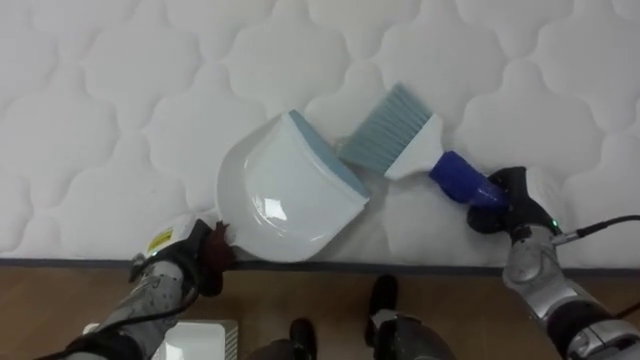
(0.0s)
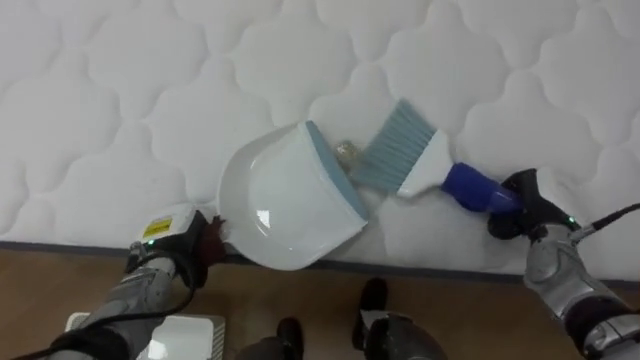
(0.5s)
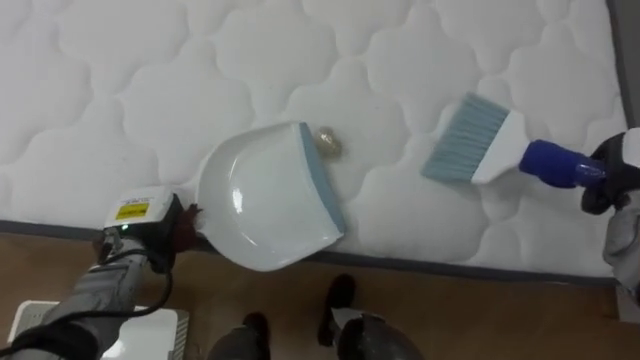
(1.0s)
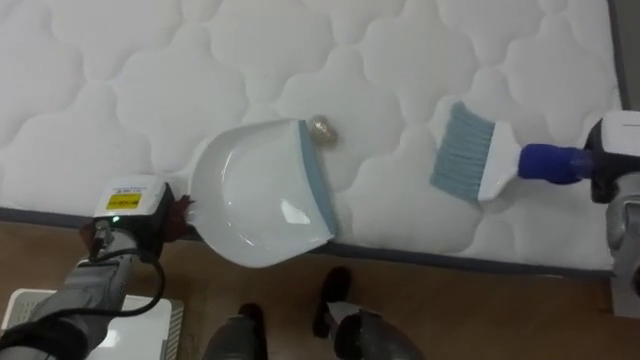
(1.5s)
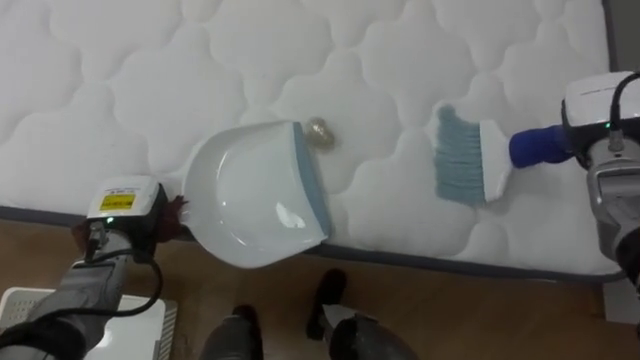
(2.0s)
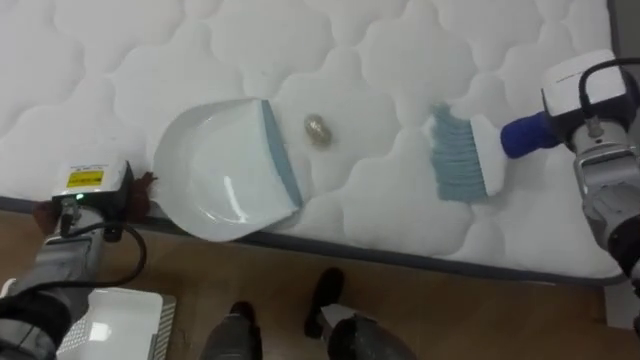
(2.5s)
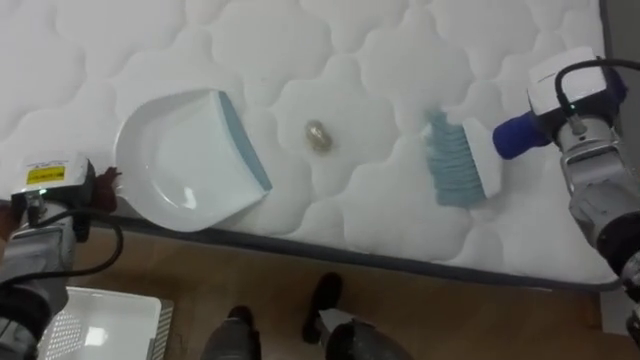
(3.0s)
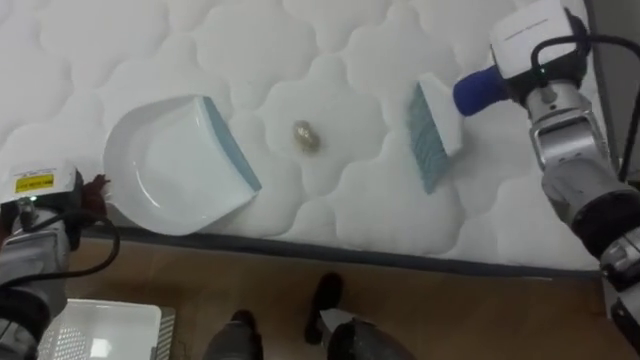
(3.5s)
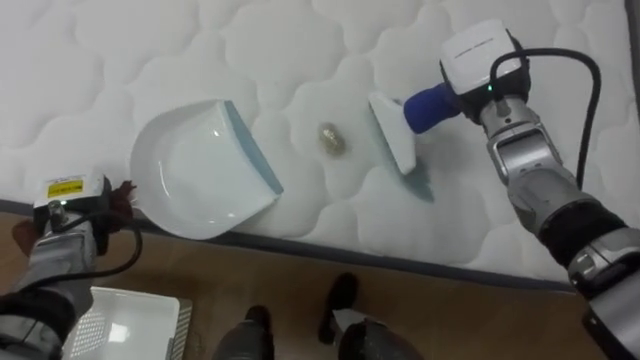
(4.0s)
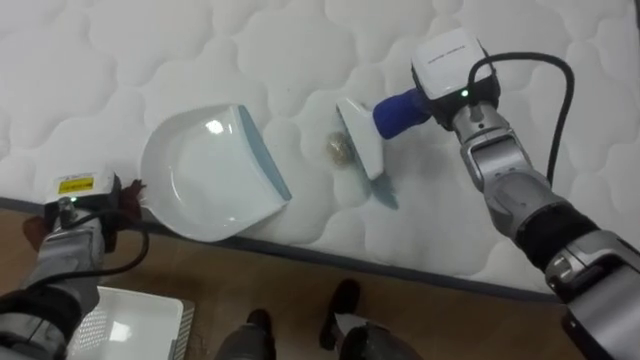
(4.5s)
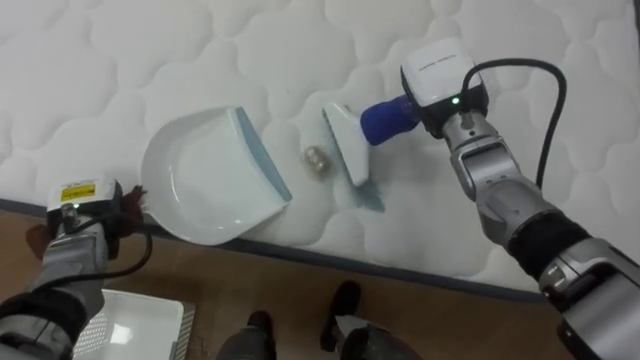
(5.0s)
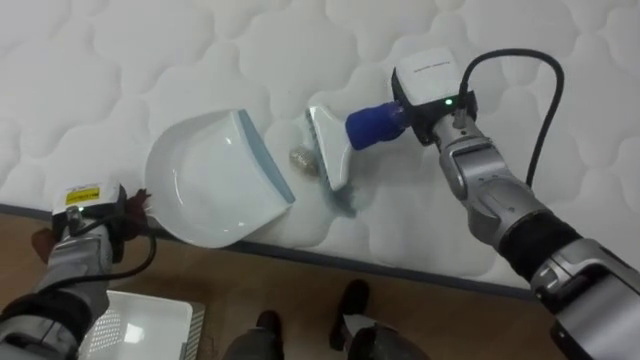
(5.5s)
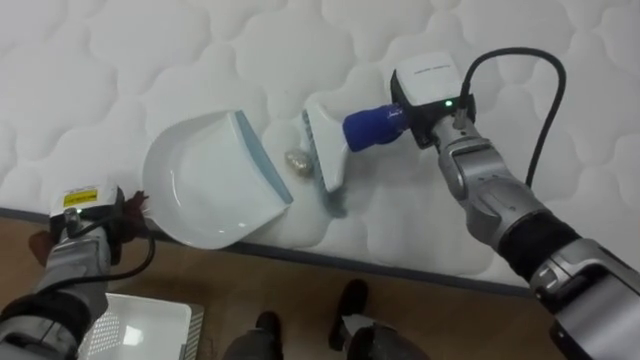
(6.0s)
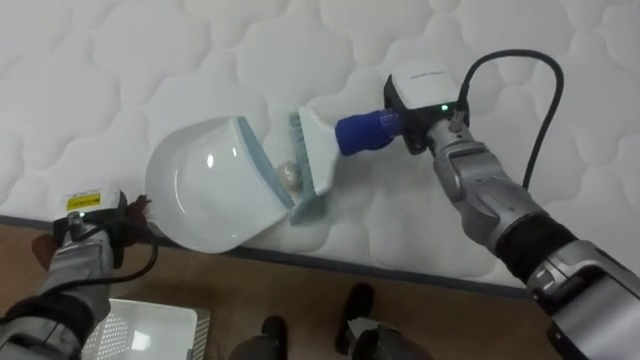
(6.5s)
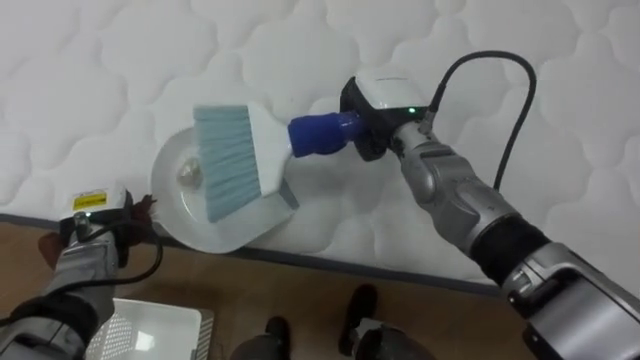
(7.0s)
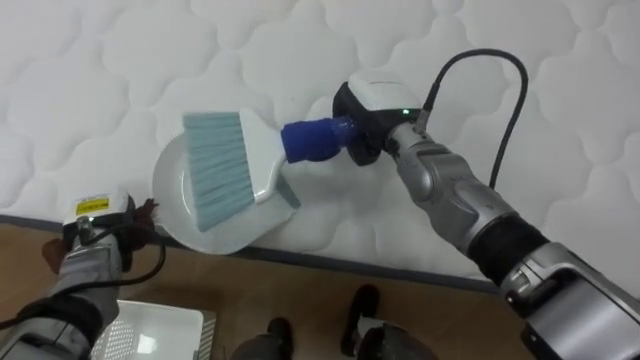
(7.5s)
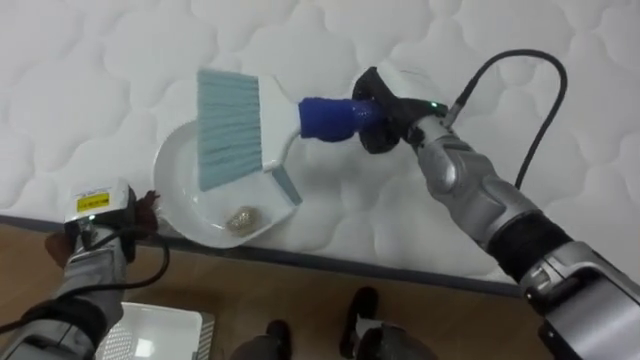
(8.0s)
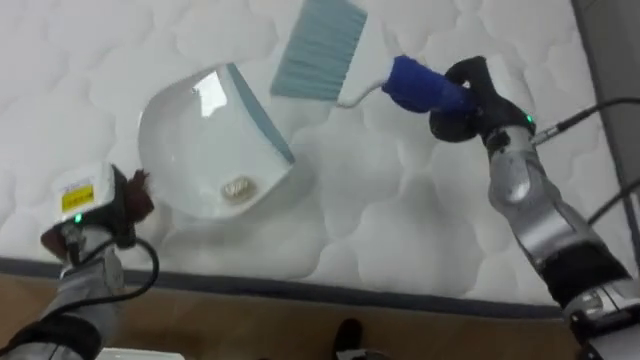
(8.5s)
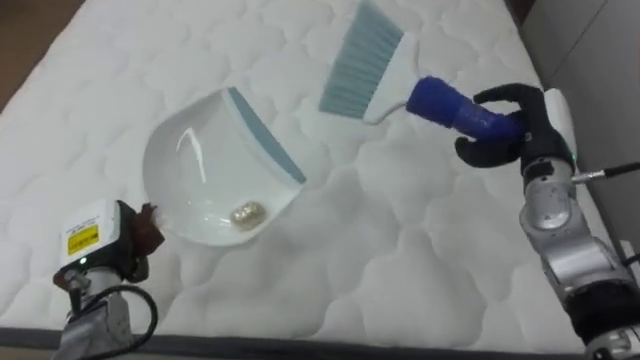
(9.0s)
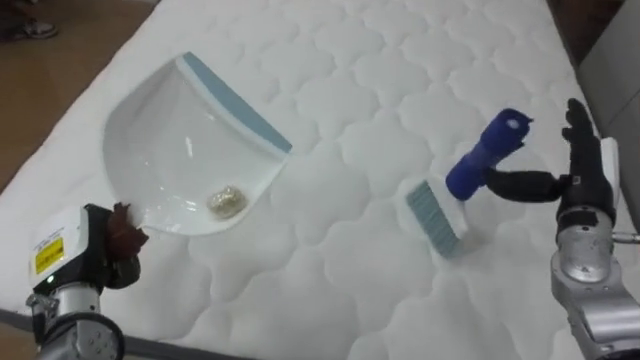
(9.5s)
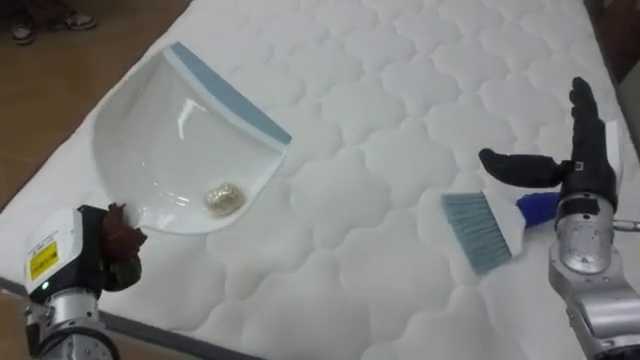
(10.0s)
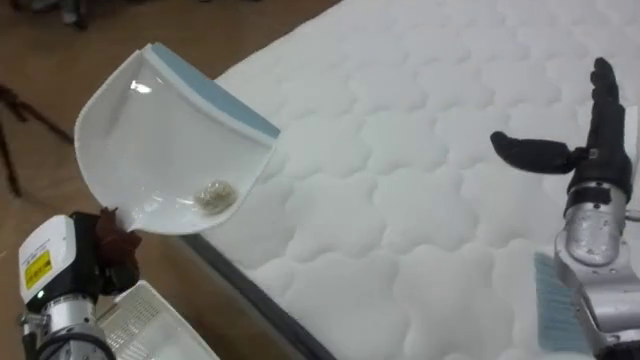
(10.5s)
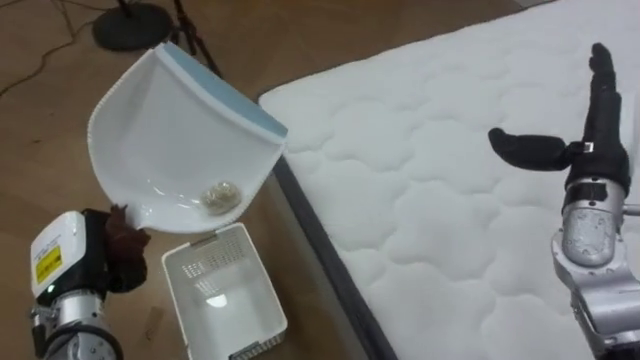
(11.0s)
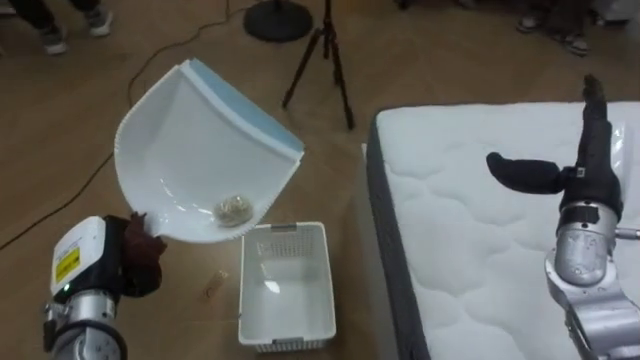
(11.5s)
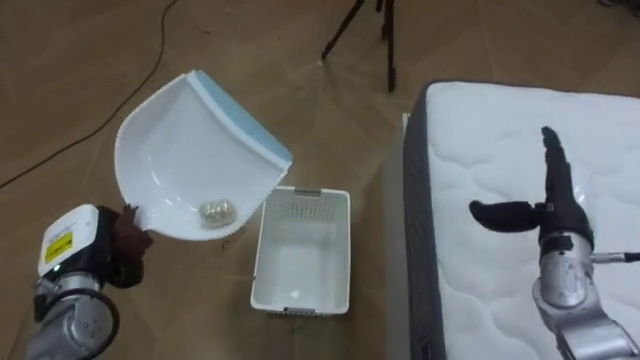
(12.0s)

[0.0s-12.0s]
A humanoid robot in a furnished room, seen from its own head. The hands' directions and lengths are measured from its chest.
Task of the whole recording: Pick up the brush on your right and the dustpan on your left. Use the brush to sweep the crumpled paper on the bed into the dustpan, then turn left and empty it into the basket.
0.0s to 2.0s: The right hand heads upward, forward and to the right, covering roughly 15 cm. The left hand is displaced upward and to the left by about 10 cm.
2.0s to 4.0s: The left hand travels to the left by approximately 5 cm, while the right hand travels to the left by roughly 15 cm.
4.0s to 6.0s: The right hand goes roughly 5 cm to the left.
8.0s to 10.0s: The right hand goes some 25 cm to the right and backward, and opens. The left hand shifts some 10 cm backward.
10.0s to 12.0s: The robot's body swings roughly 80 degrees to its left.

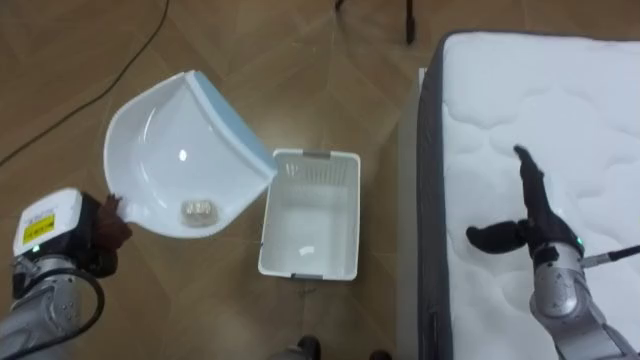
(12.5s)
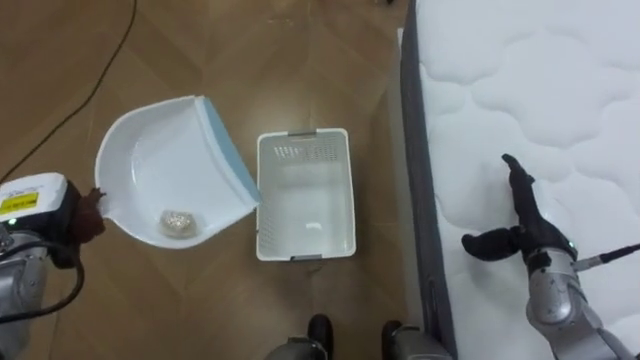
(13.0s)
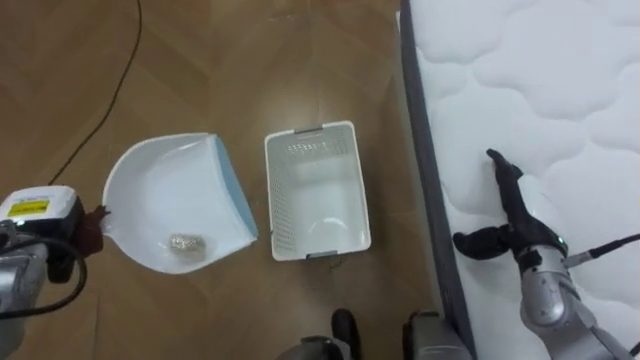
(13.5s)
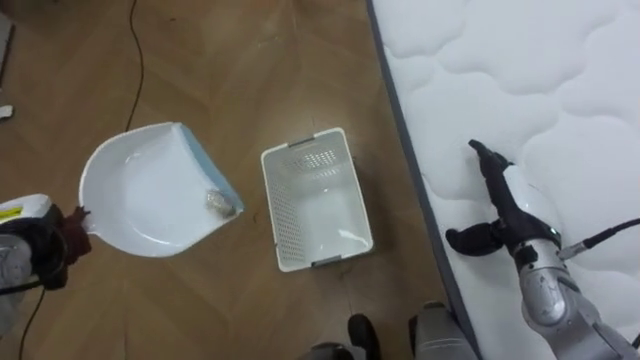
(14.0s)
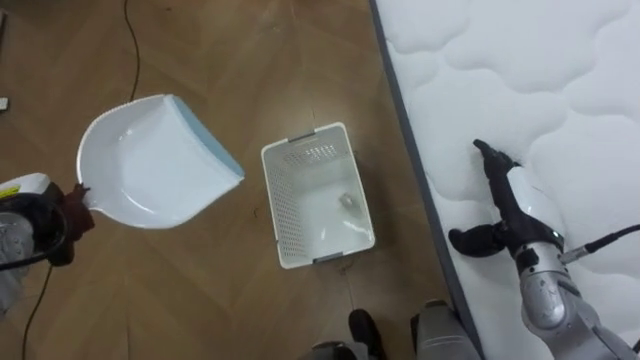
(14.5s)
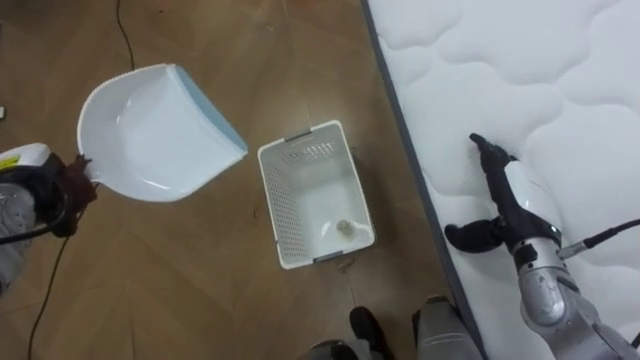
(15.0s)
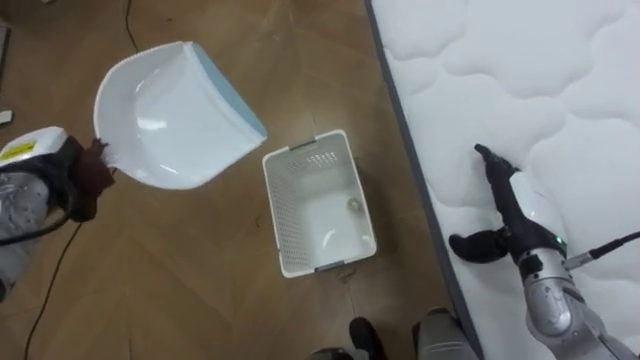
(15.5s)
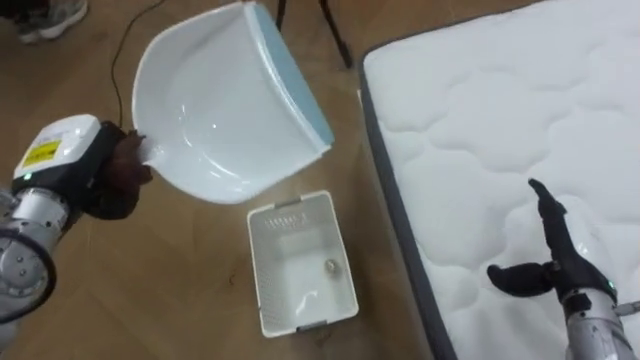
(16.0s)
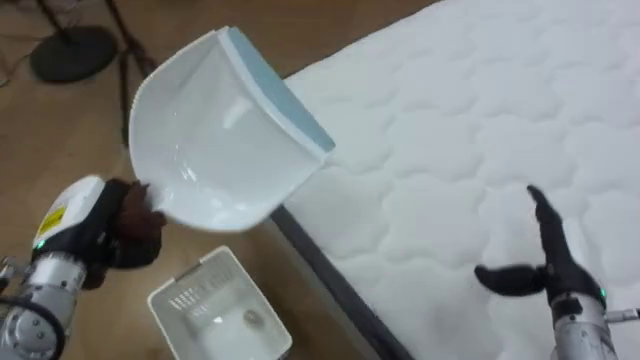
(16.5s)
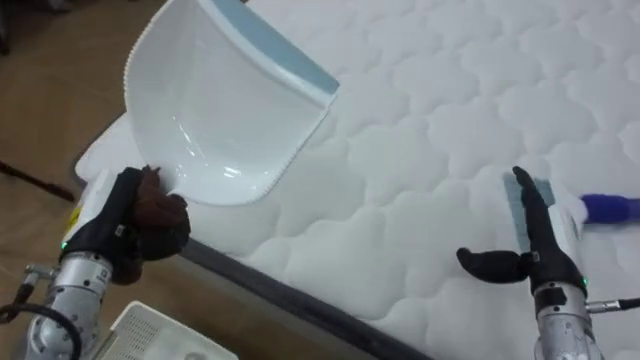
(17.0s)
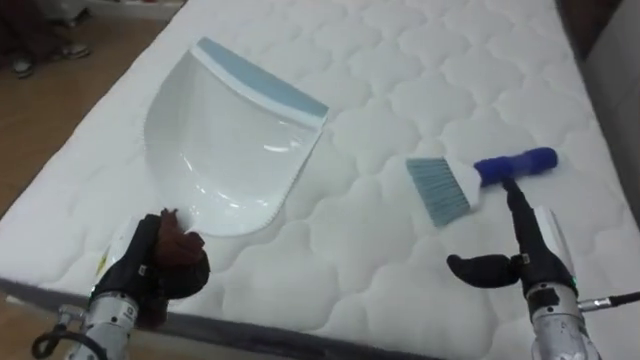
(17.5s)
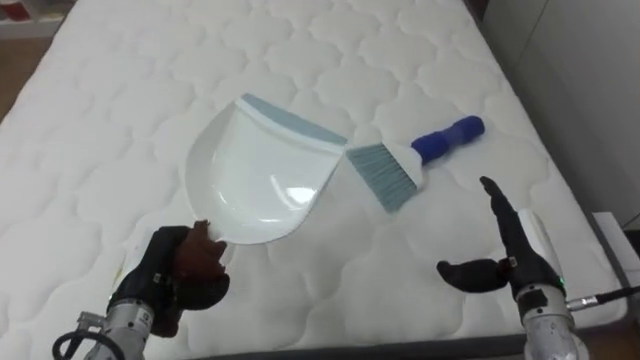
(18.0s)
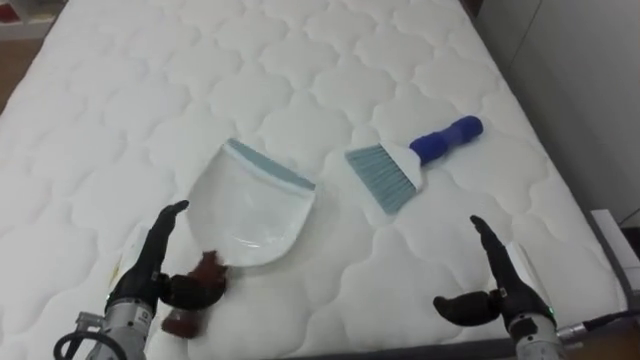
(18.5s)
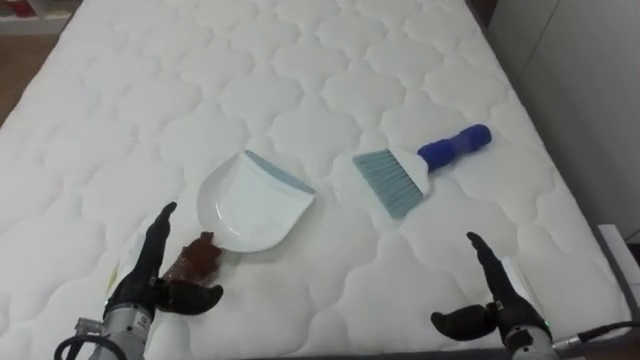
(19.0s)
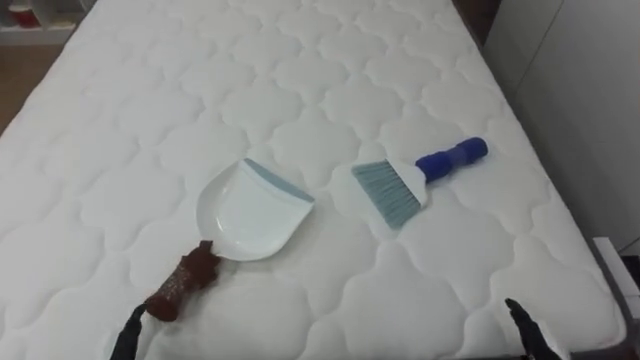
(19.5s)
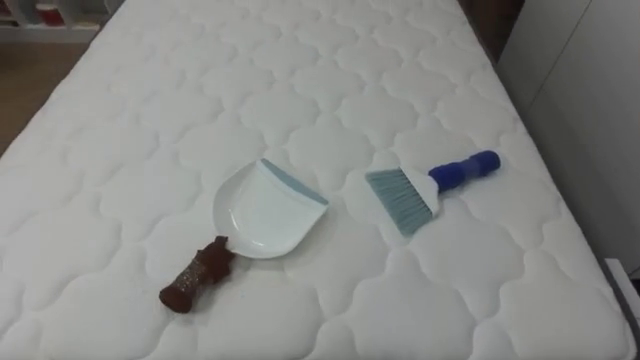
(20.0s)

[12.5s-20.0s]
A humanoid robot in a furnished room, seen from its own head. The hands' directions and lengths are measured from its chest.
Task of the whole recording: Pick up the brush on your right and the dustpan on your left. Use the brush to sweep the crumpled paper on the bed into the dustpan, then turn left and empty it into the basket.
12.5s to 14.5s: The left hand shifts by roughly 5 cm.
14.5s to 16.5s: The robot's body swings about 40 degrees to its right. The right hand travels backward by about 5 cm. Meanwhile the left hand moves to the right, some 10 cm.
16.5s to 18.0s: The robot turns to its right by approximately 55 degrees. The left hand is displaced downward and to the right by about 10 cm.
